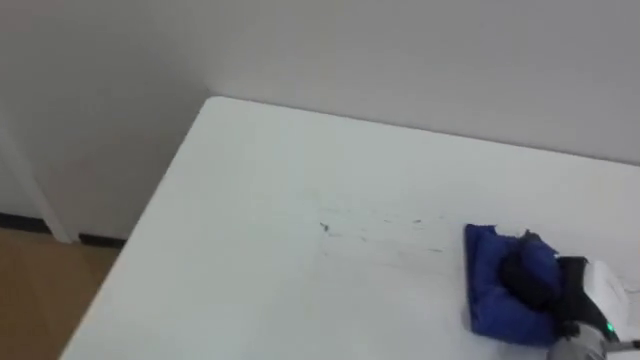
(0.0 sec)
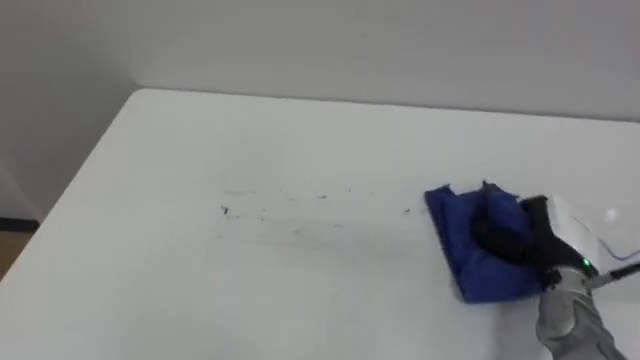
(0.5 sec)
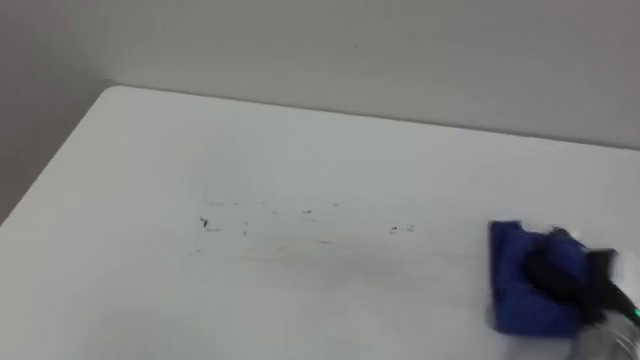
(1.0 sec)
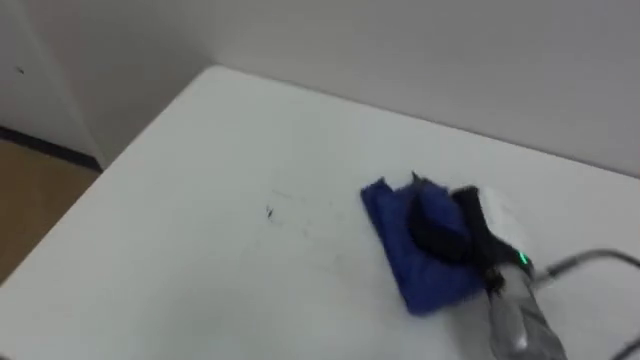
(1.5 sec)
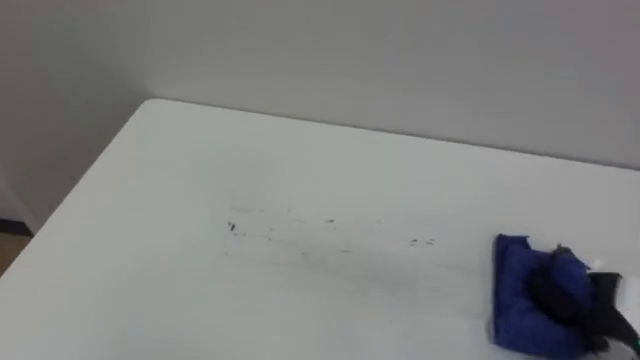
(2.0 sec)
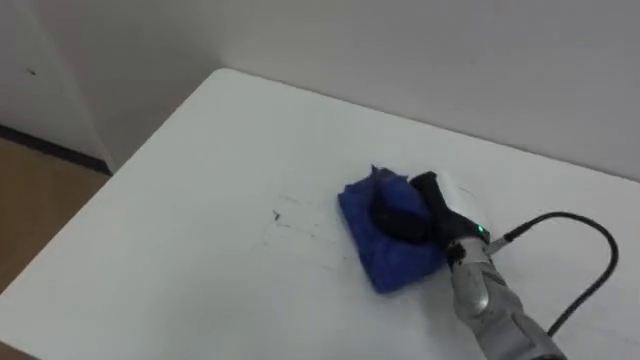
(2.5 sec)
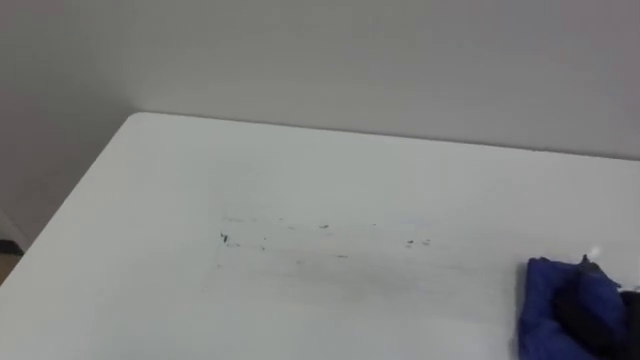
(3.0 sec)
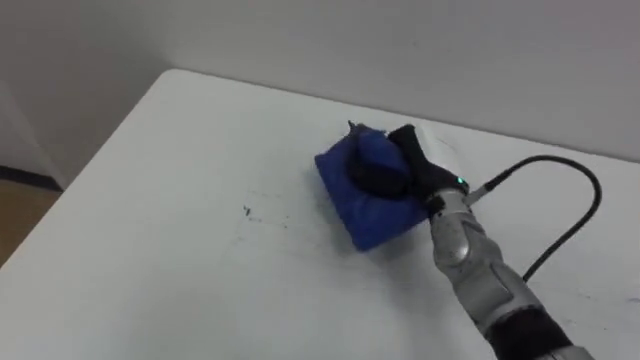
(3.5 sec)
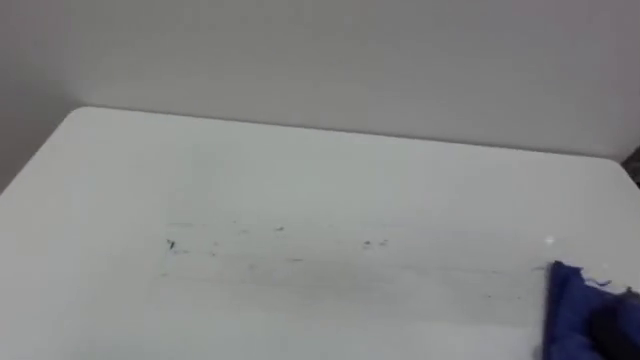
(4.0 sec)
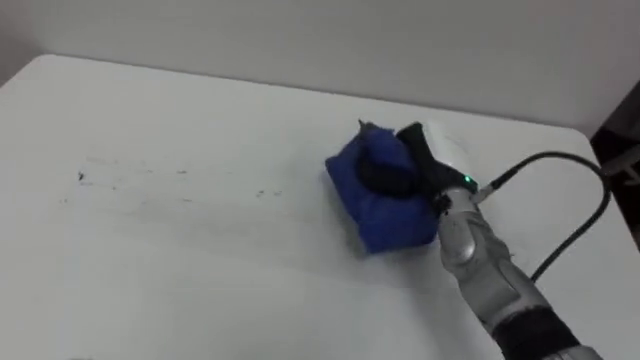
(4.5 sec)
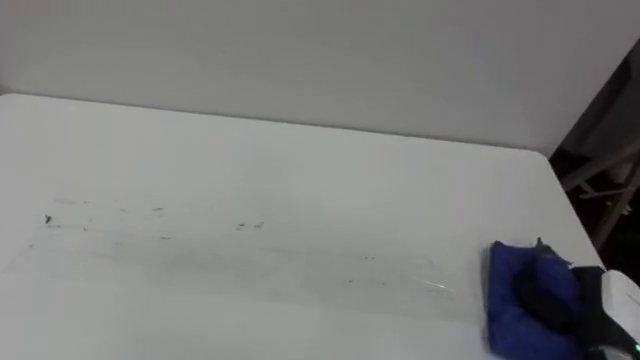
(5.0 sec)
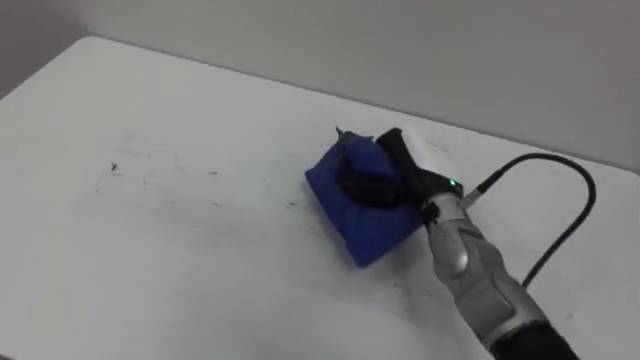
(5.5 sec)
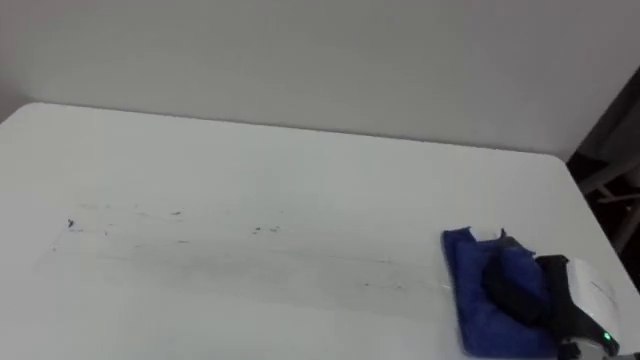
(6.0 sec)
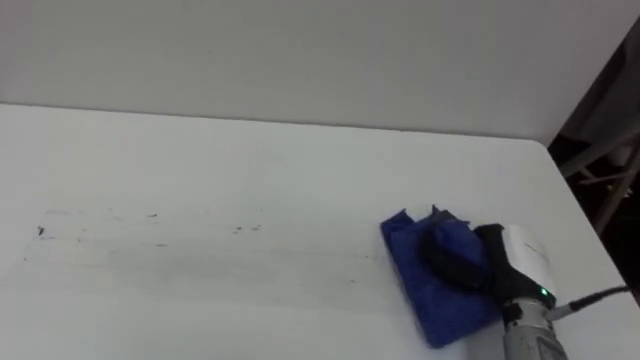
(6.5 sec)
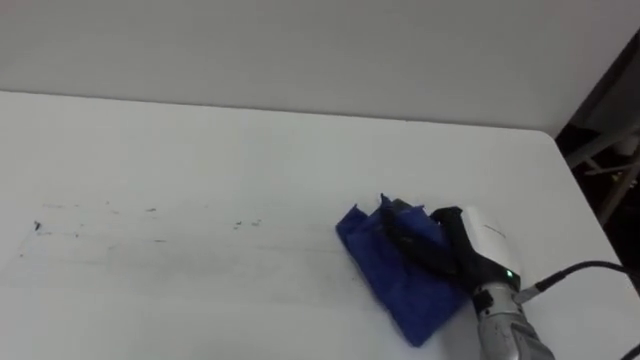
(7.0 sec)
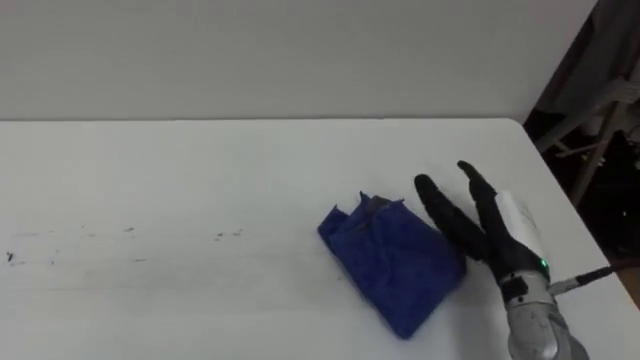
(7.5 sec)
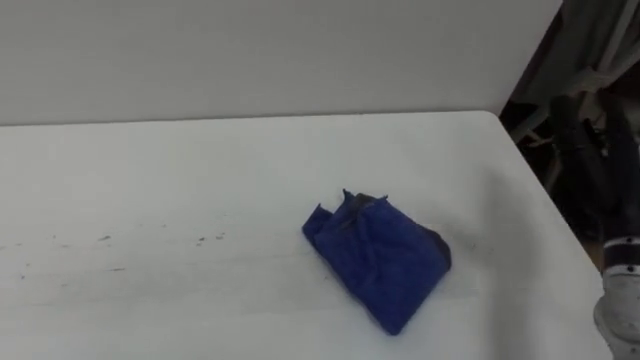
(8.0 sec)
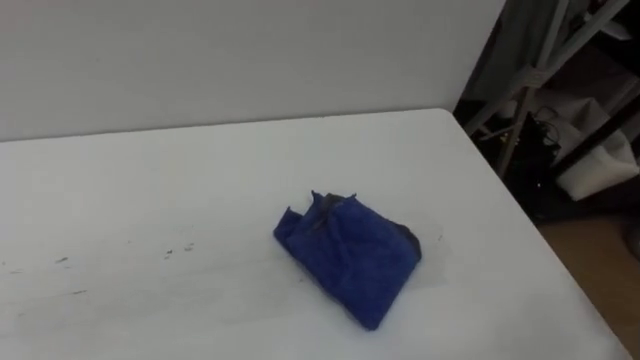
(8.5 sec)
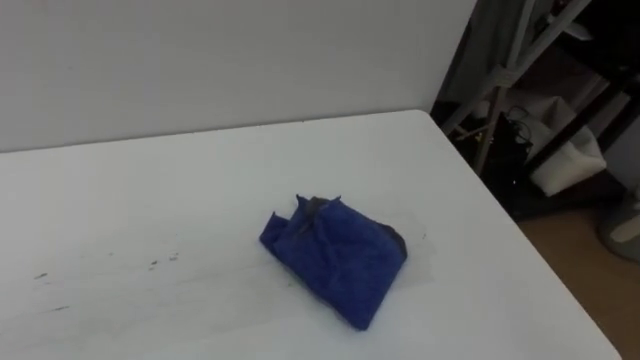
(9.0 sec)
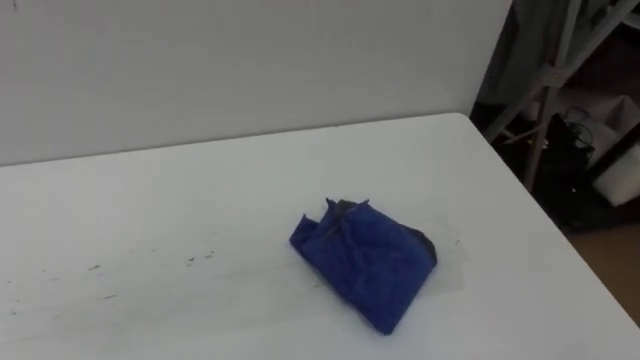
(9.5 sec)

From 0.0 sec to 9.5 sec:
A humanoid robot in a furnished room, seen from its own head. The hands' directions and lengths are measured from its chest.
Task of the whole recording: Wipe the blue pen marks off the table with the rag.
From 5.5 sec to 7.5 sec: The right hand goes about 15 cm to the right and backward, and opens up.

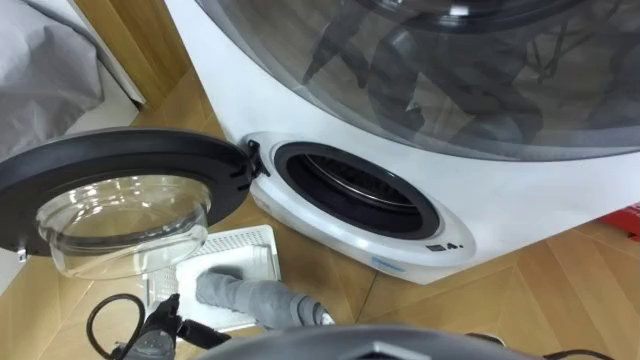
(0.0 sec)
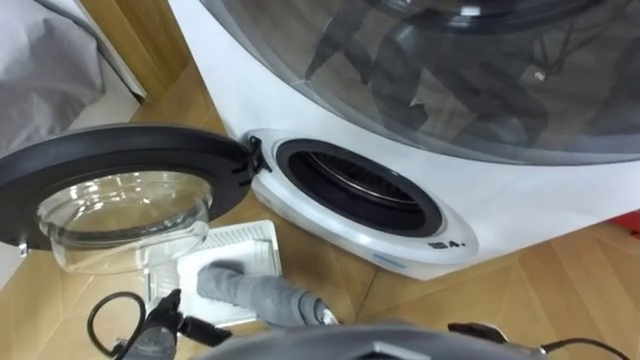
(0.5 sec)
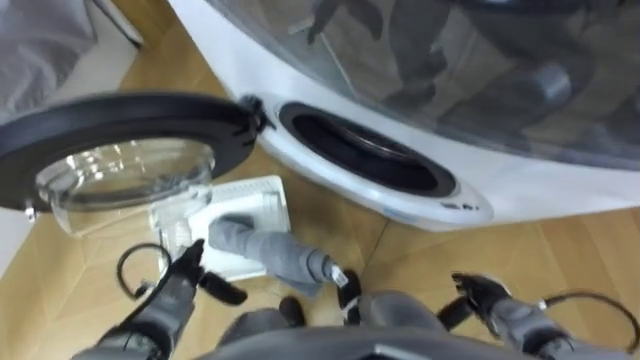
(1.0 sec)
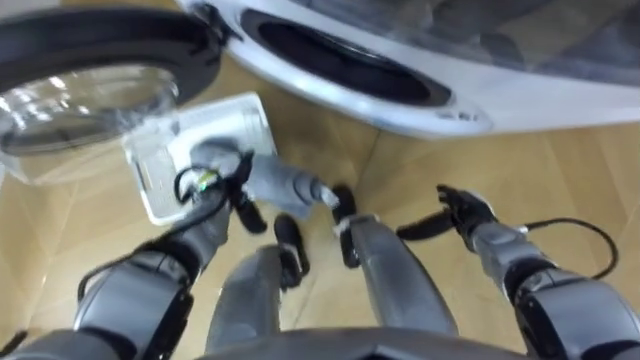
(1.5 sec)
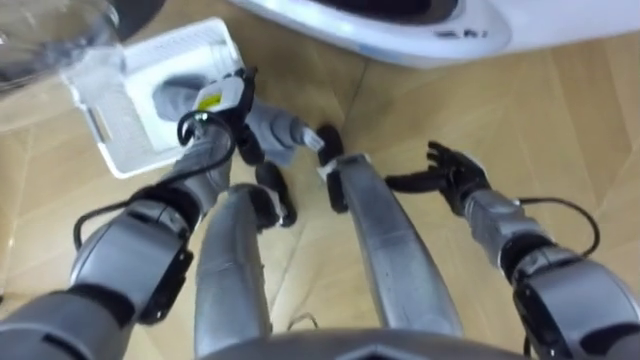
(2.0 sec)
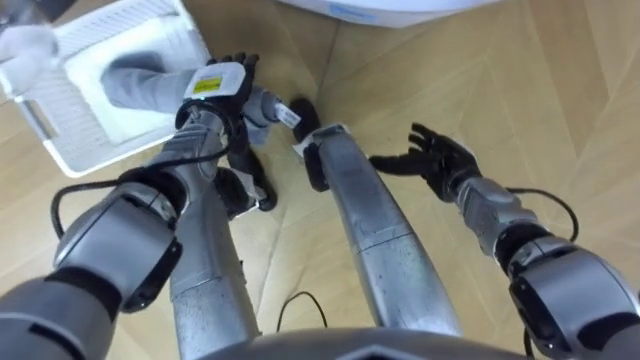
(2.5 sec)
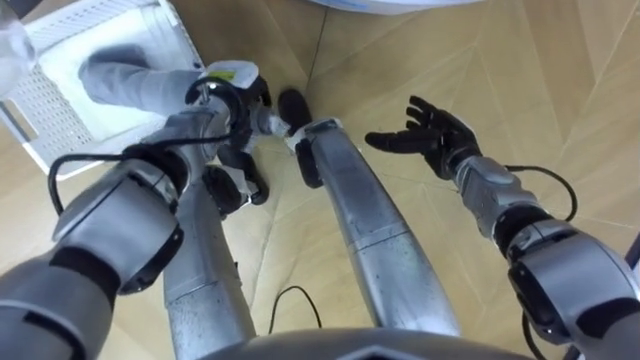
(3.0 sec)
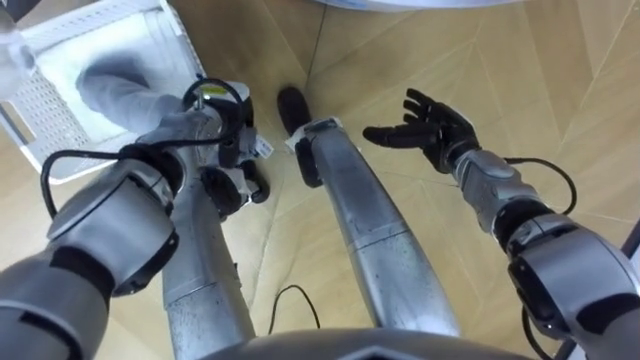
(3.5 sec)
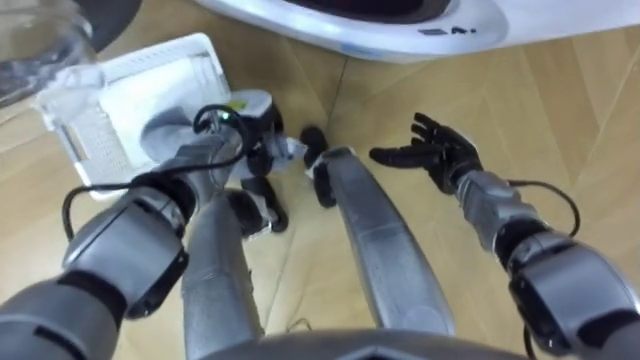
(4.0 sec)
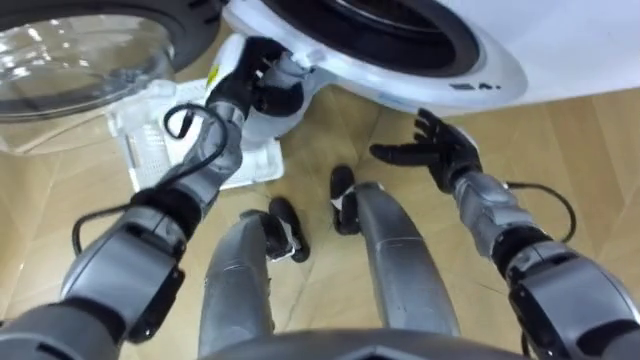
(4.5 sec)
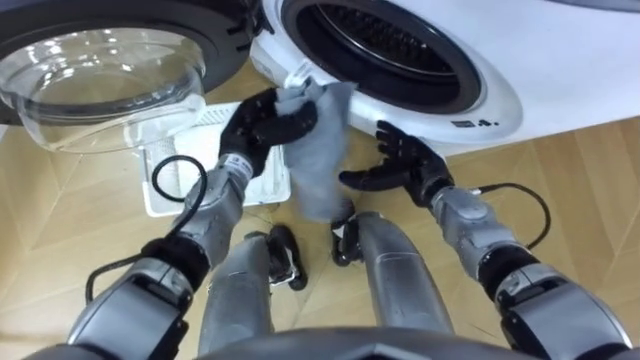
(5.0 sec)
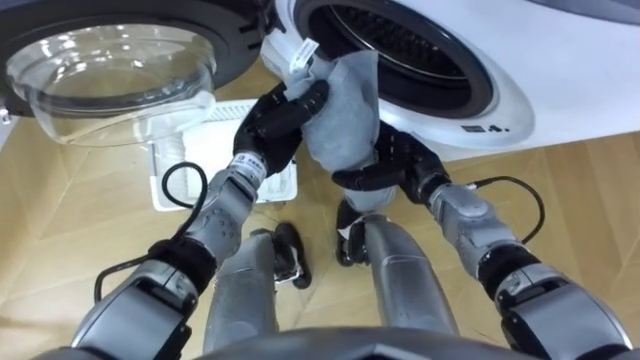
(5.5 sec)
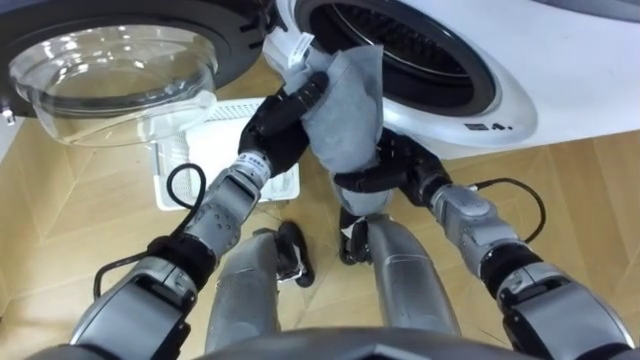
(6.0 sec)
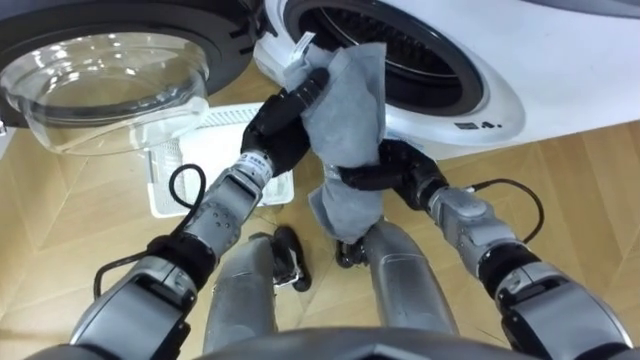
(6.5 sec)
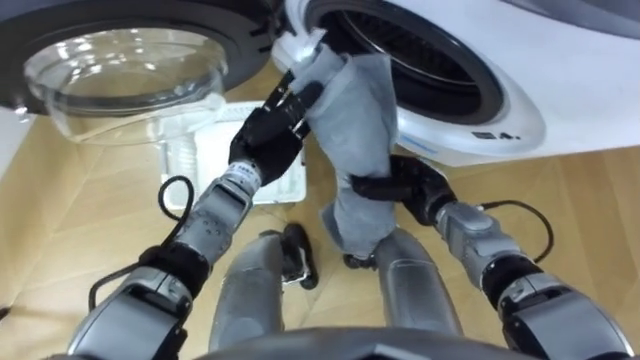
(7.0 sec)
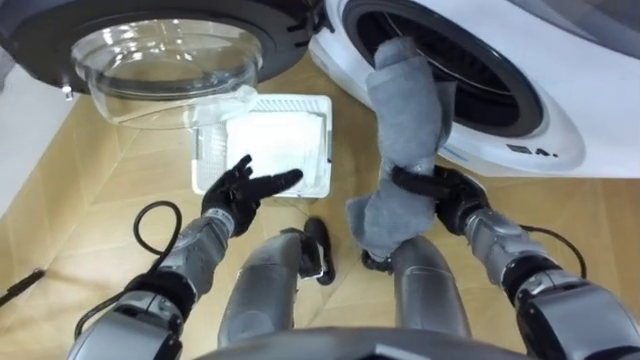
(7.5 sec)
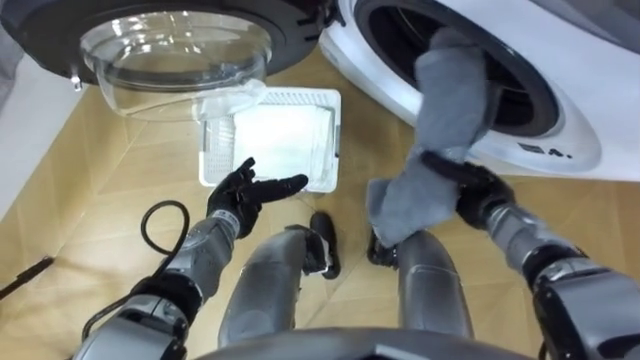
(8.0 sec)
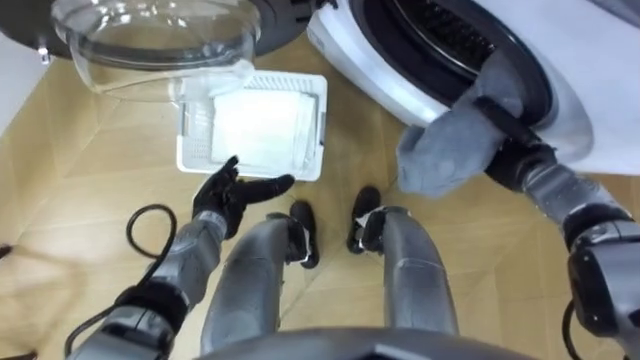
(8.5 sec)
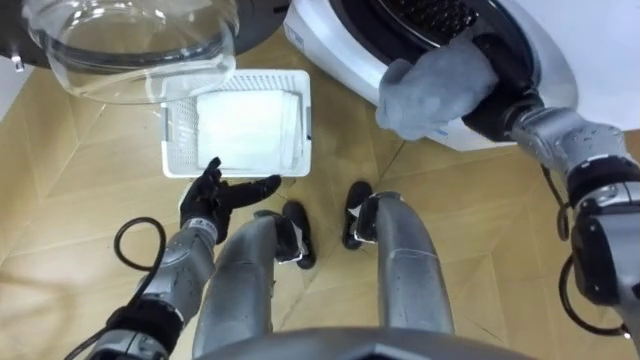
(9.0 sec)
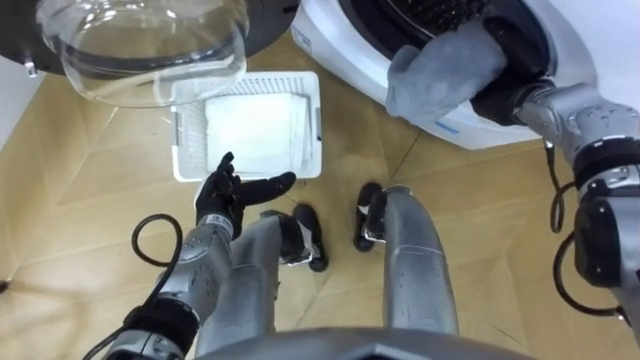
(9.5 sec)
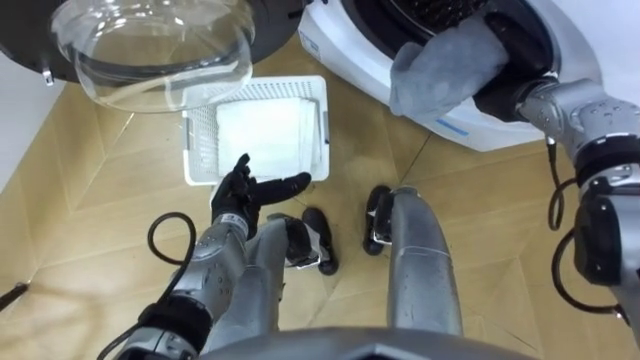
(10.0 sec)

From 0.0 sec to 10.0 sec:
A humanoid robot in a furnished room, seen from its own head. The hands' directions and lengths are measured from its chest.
Task of the whole recording: Take the towel from the basket and put it into the washing machine.
From 2.0 sec to 4.0 sec: The left hand closes up.
From 4.0 sec to 6.0 sec: The right hand shifts some 5 cm to the left. Meanwhile the left hand moves to the right, roughly 5 cm.
From 6.0 sec to 8.0 sec: The left hand heads downward, backward and to the left, covering some 15 cm, and opens up. Meanwhile the right hand heads to the right, covering some 10 cm, and closes its fingers.
From 8.0 sec to 10.0 sec: The right hand travels upward and forward by about 15 cm, and opens up.
